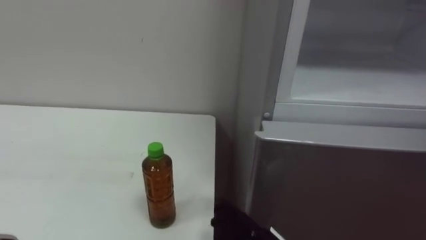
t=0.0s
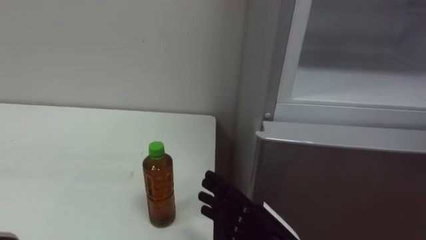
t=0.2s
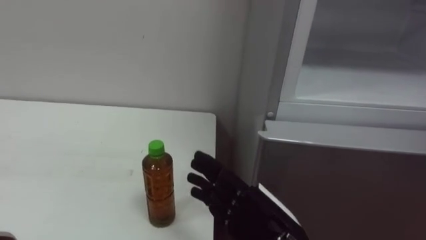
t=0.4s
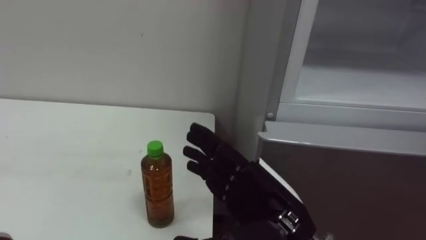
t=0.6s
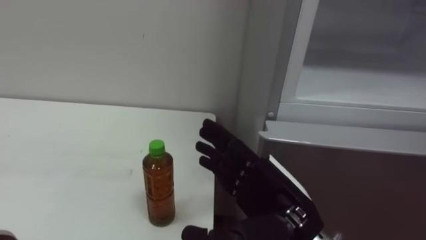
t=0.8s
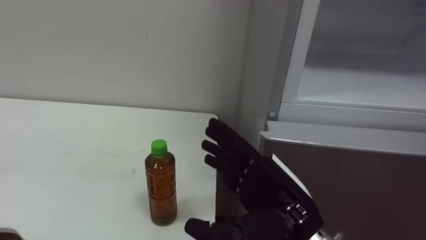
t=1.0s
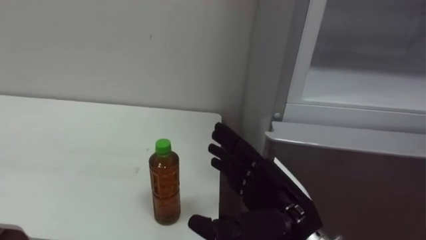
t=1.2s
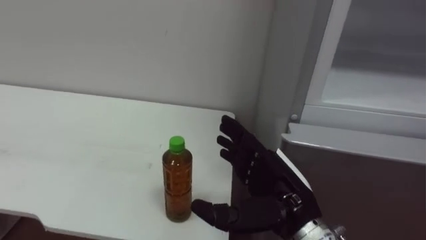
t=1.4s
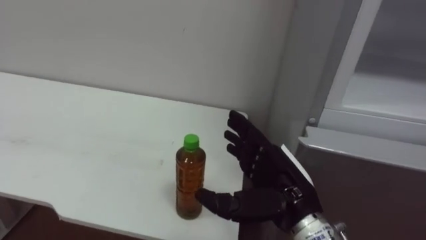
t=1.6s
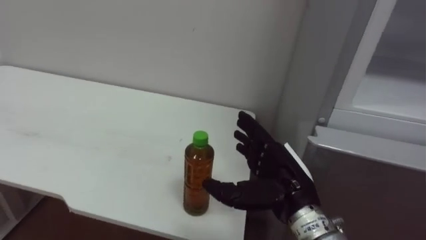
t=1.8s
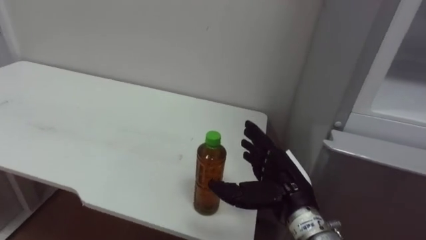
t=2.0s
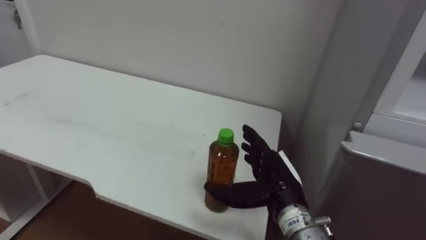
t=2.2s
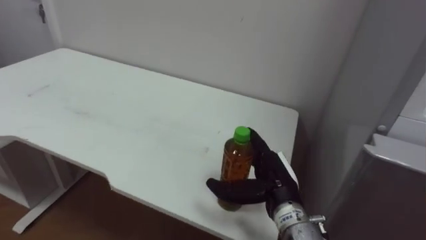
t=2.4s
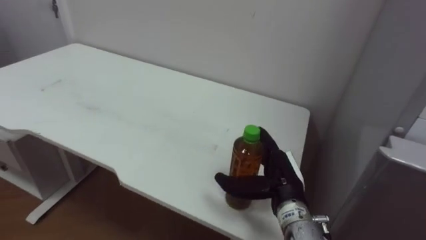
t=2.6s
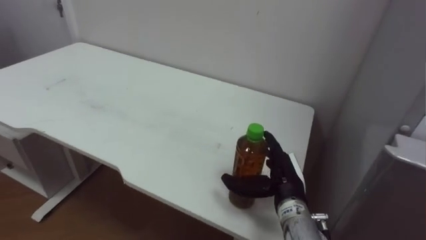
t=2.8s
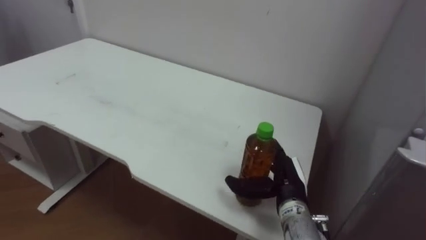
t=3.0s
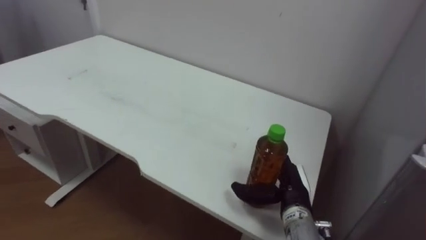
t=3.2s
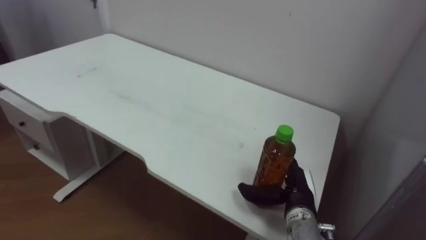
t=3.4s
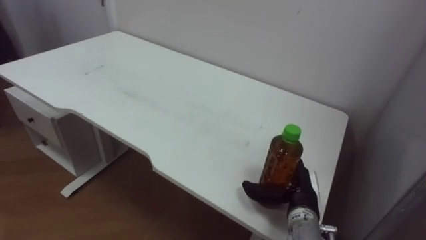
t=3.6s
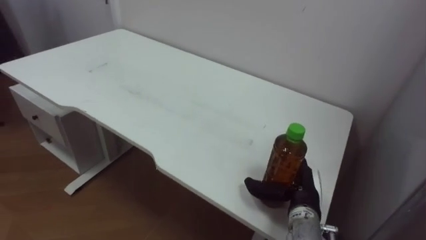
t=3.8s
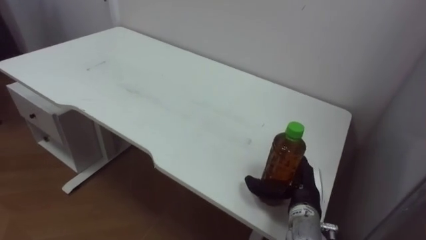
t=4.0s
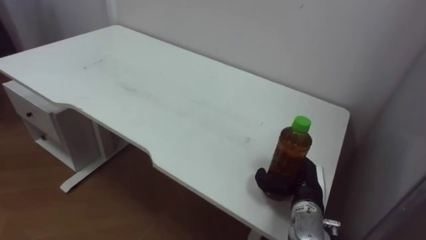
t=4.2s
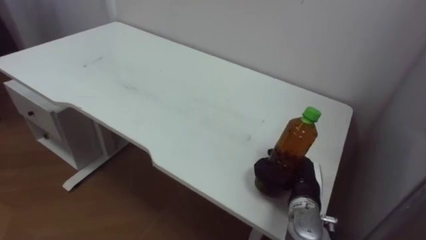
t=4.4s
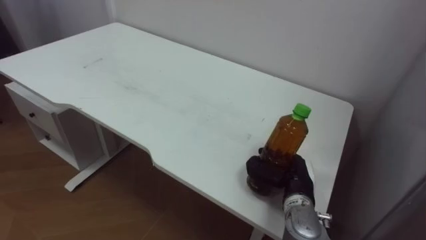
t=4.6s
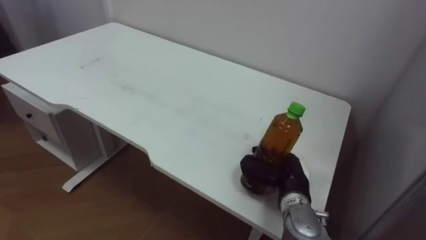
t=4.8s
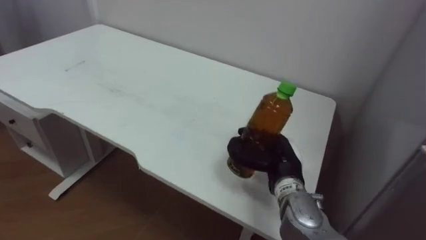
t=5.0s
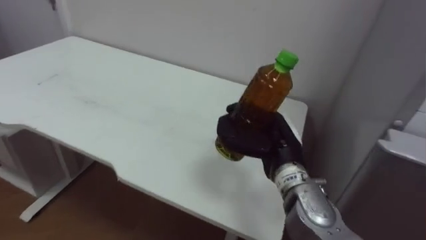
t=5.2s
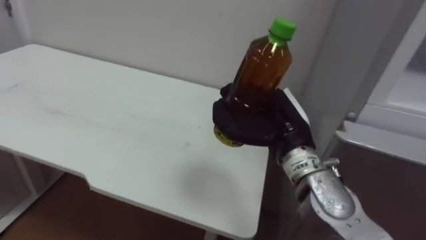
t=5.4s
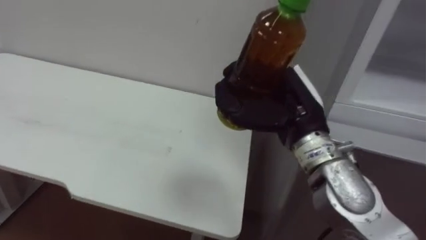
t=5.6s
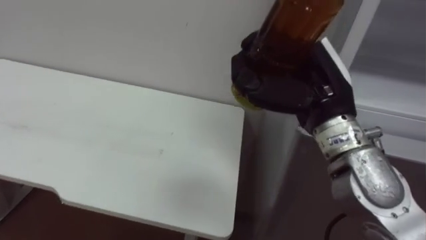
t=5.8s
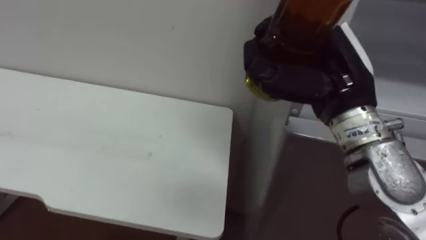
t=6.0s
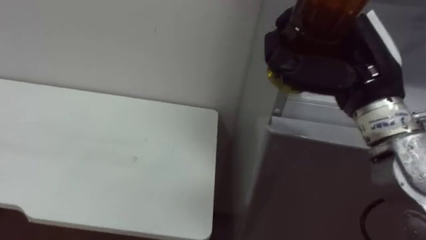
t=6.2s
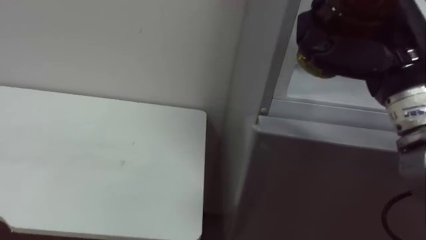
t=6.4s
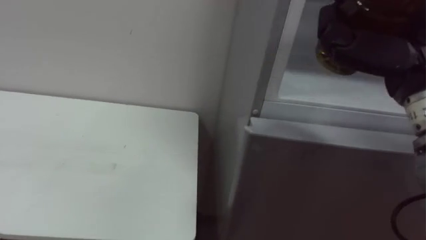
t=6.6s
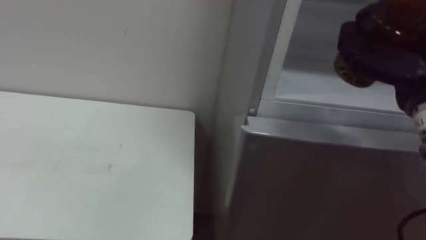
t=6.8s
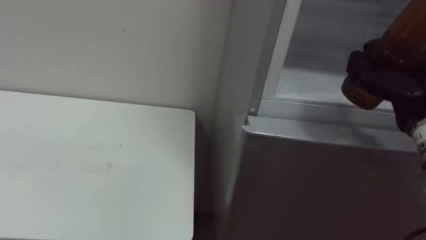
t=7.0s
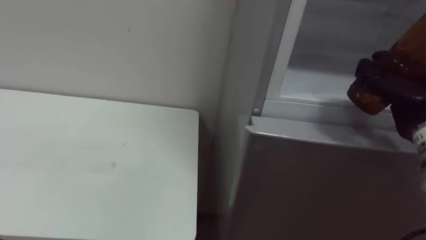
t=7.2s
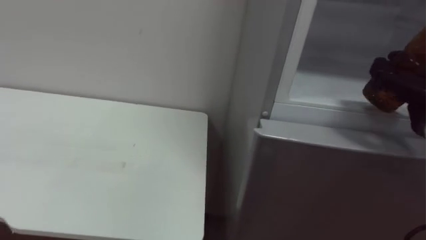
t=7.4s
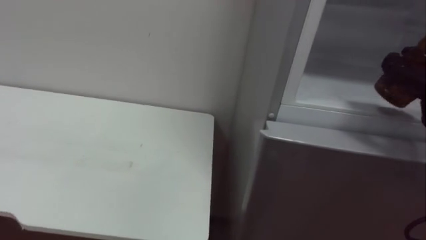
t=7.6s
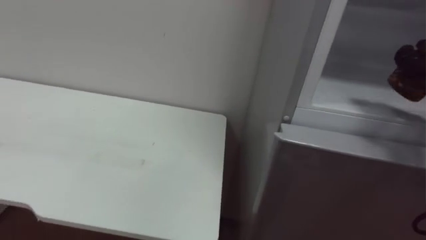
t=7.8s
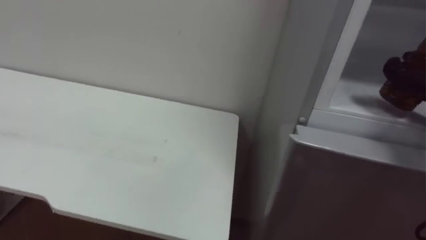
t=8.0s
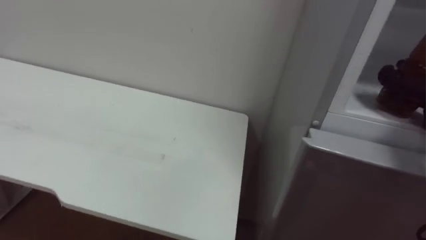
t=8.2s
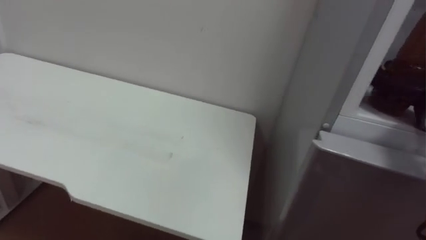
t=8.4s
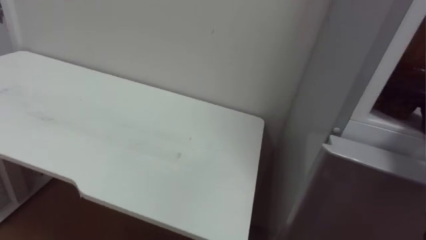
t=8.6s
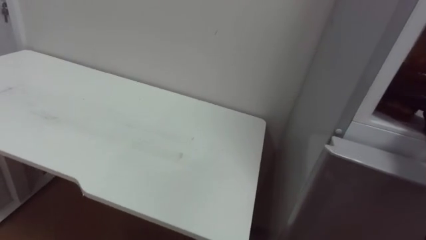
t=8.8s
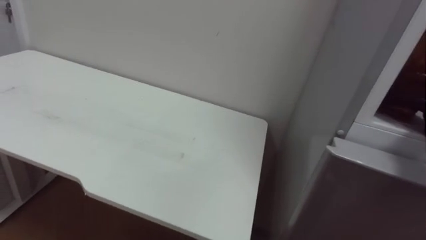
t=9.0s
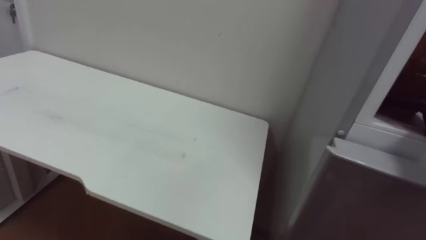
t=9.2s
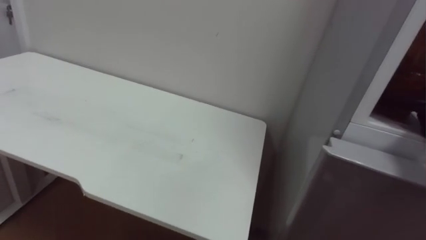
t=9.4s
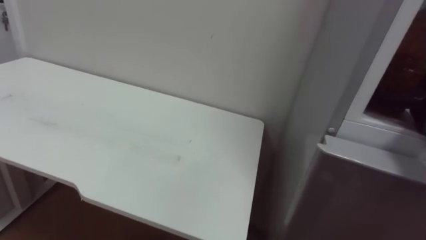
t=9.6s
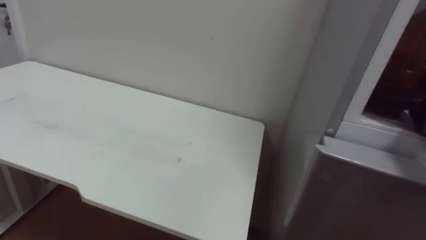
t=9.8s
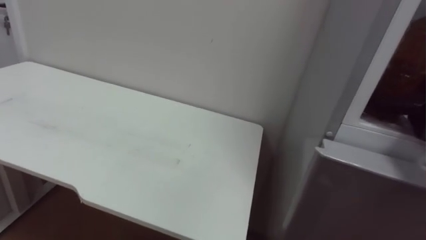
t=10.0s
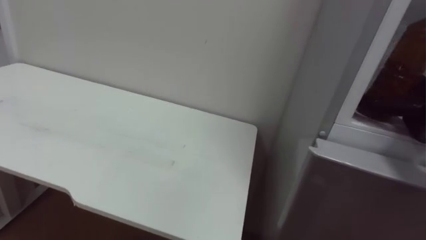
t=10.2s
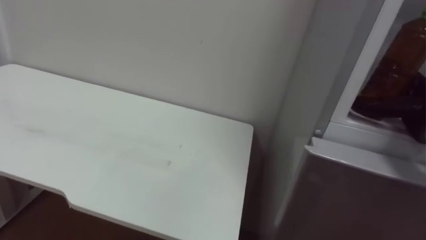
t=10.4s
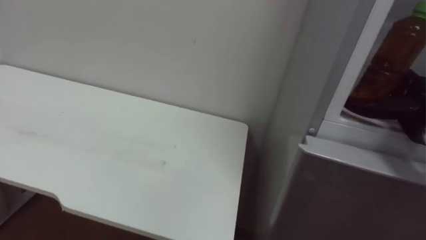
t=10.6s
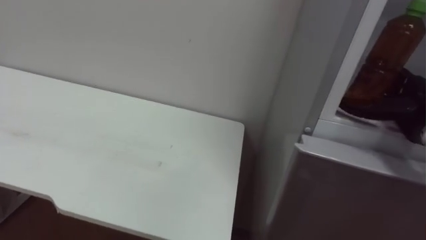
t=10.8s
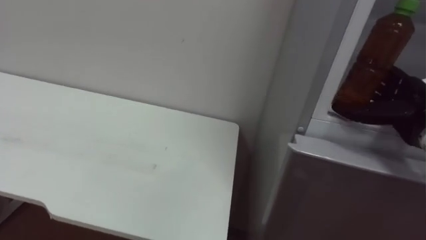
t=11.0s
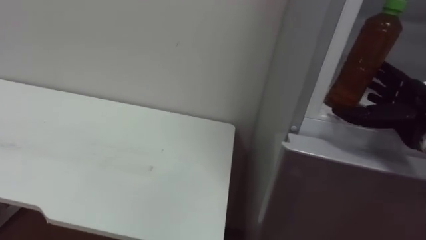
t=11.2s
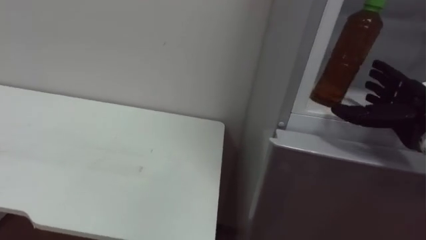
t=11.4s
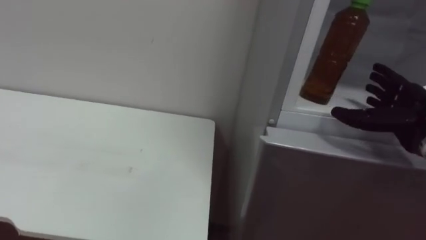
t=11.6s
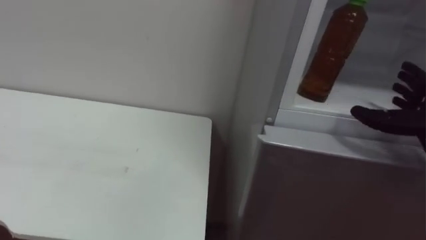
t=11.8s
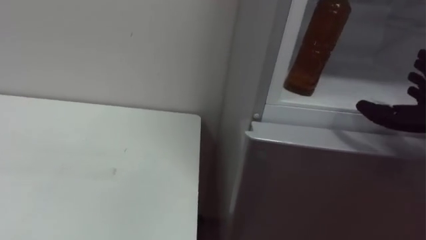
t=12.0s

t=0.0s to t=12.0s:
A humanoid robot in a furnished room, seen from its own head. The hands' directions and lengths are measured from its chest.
Task of the whole recording: Open the upper refrigerator door, put the drink from the table into the refrigerator, and then close the refrigerator door.
t=1.6s to t=3.0s: The right hand moves downward and forward, some 10 cm.
t=3.0s to t=4.4s: The right hand closes up.
t=4.4s to t=6.0s: The right hand heads upward, covering approximately 25 cm.

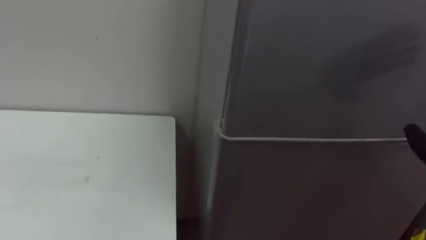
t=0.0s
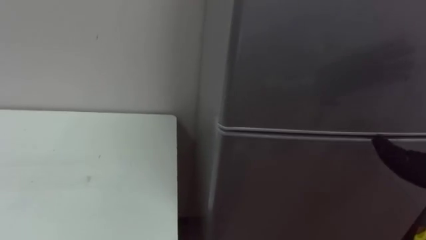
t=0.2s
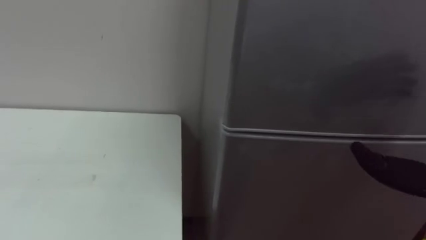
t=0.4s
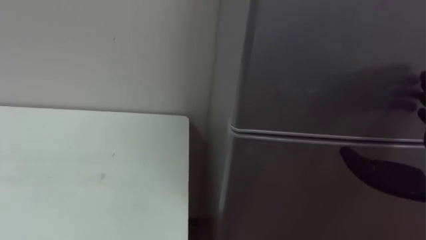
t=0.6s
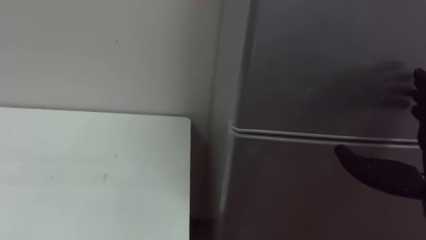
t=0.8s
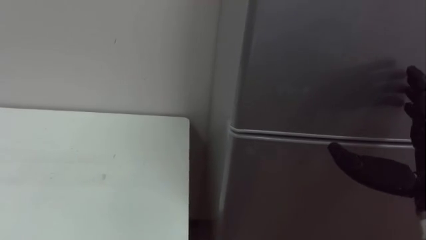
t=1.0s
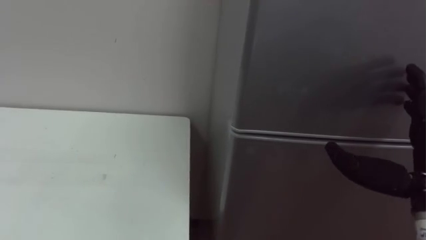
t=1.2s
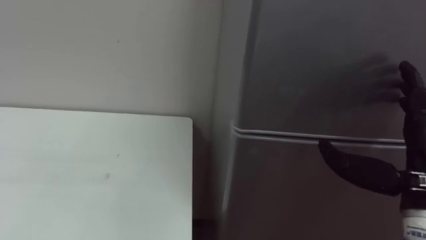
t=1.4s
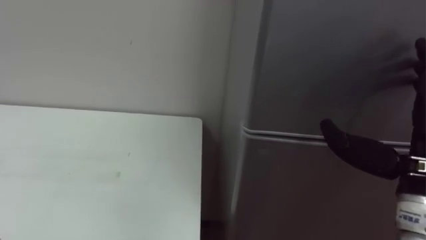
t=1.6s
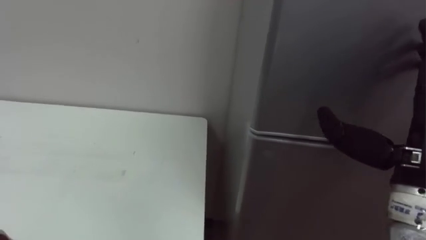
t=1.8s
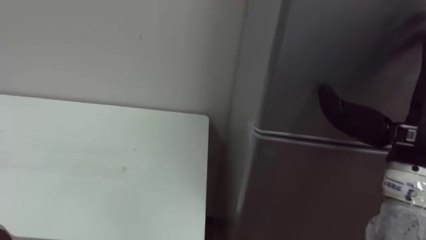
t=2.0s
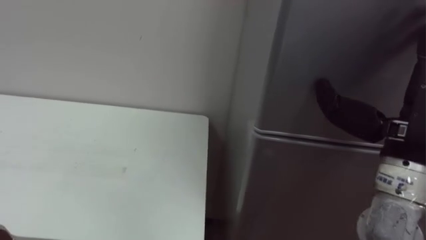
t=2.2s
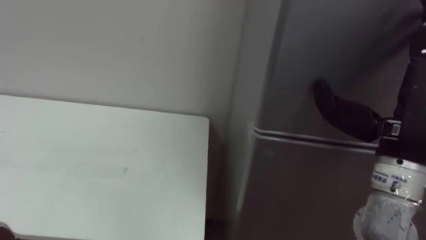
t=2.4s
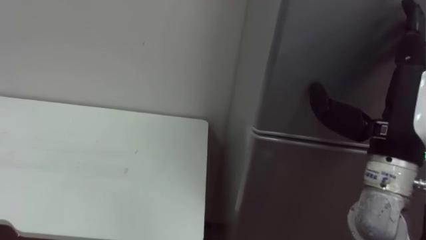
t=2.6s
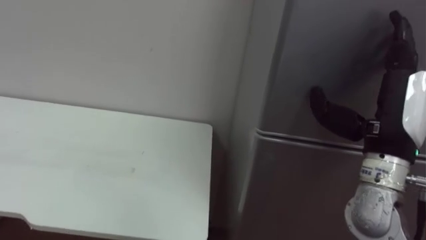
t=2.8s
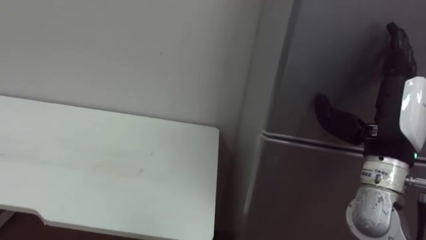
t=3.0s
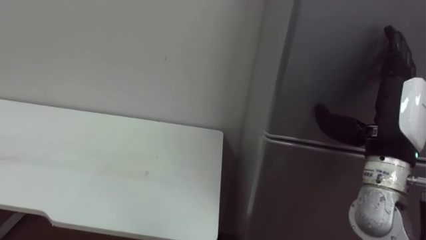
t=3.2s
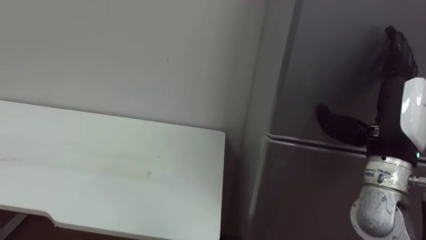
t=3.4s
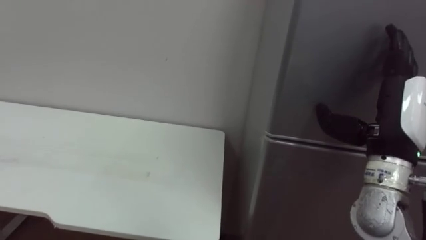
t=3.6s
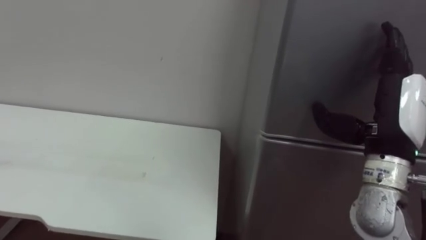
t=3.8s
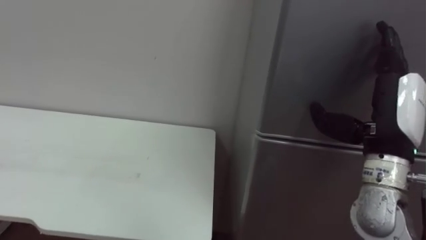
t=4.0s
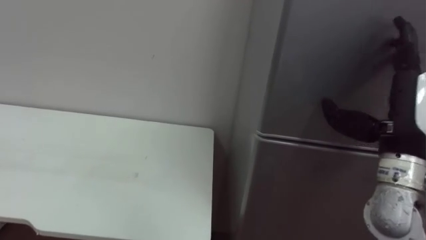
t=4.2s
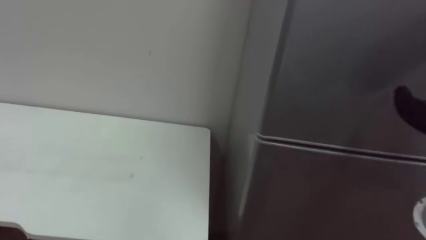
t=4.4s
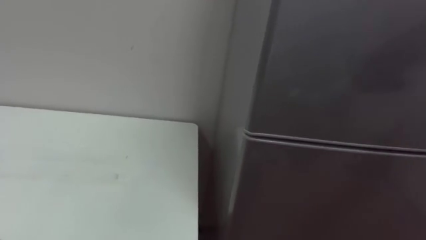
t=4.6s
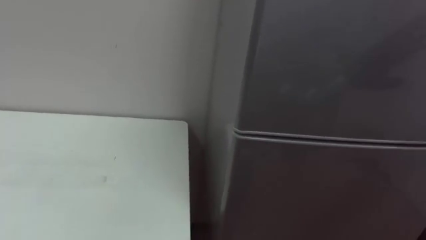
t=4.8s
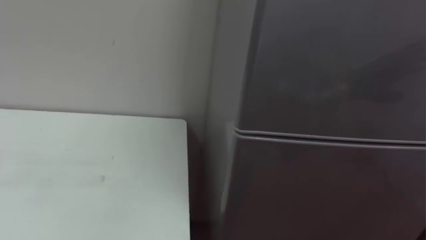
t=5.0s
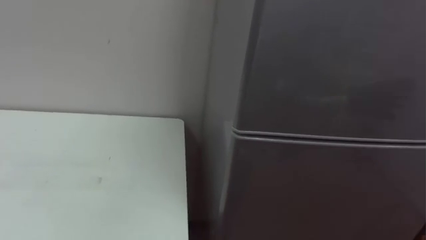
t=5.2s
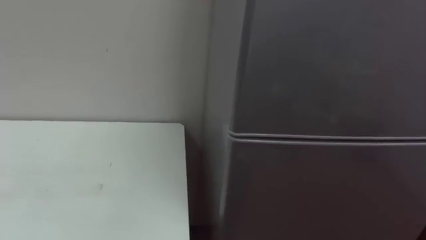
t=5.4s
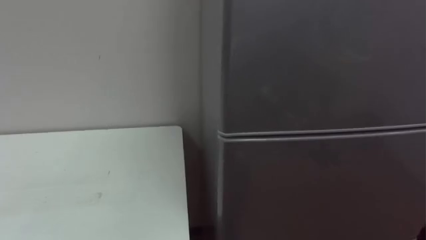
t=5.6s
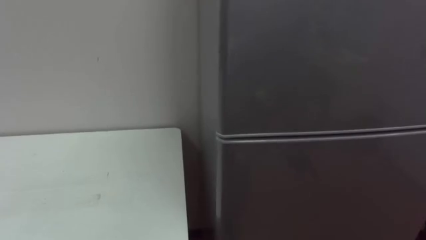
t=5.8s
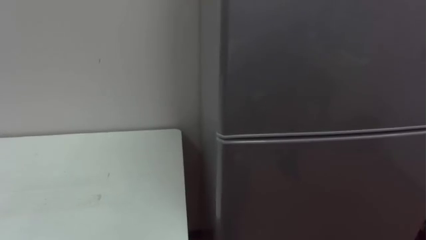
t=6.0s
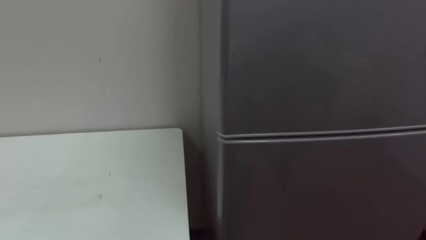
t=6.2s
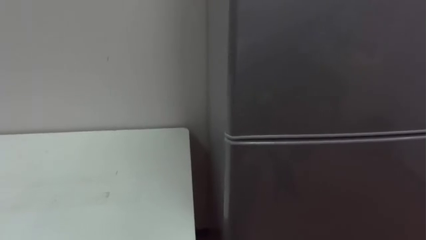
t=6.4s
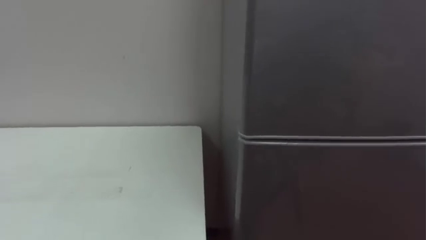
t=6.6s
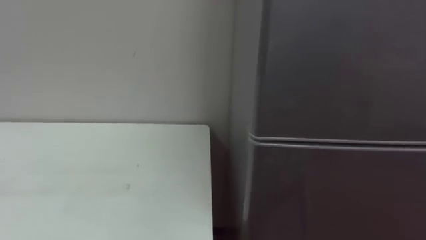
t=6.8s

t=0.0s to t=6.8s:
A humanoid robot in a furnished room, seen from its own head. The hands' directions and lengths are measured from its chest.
Task of the whole recording: Open the upper refrigerator door, put the drink from the table into the refrigerator, and then close the refrigerator door.
t=1.4s to t=2.8s: The right hand is displaced forward by roughly 5 cm.
